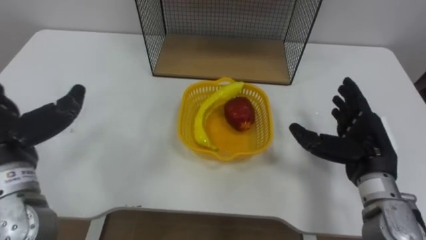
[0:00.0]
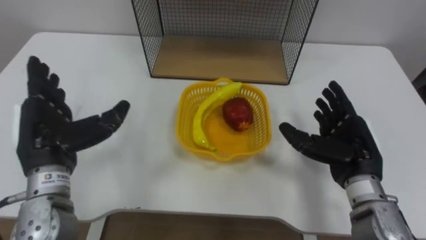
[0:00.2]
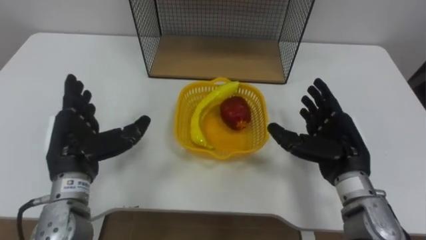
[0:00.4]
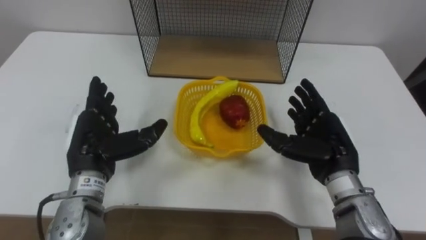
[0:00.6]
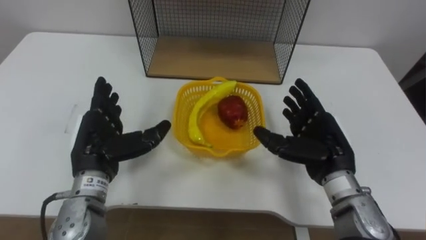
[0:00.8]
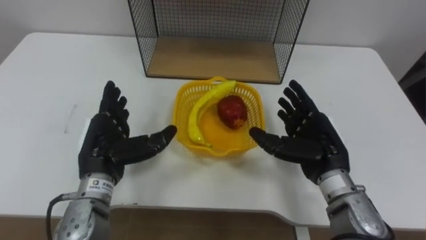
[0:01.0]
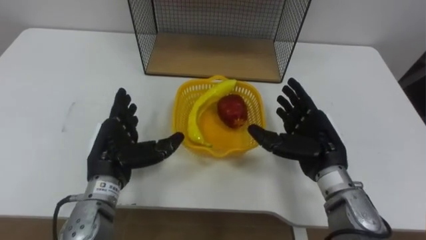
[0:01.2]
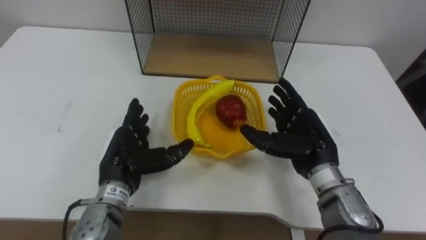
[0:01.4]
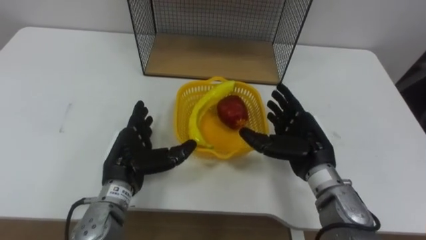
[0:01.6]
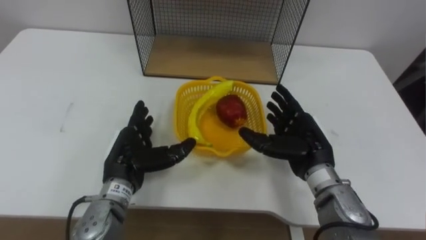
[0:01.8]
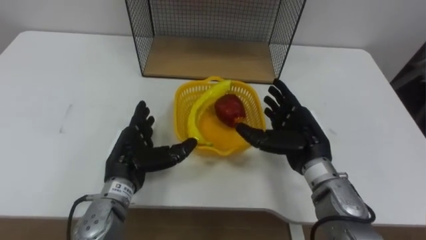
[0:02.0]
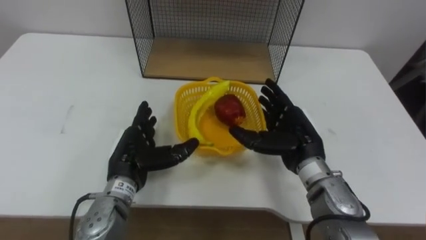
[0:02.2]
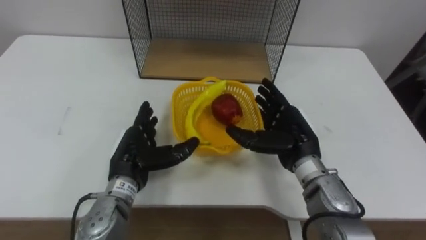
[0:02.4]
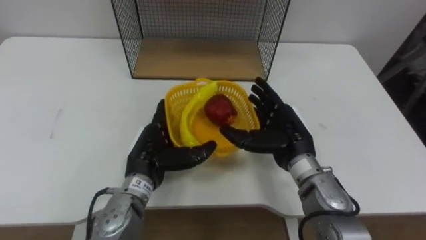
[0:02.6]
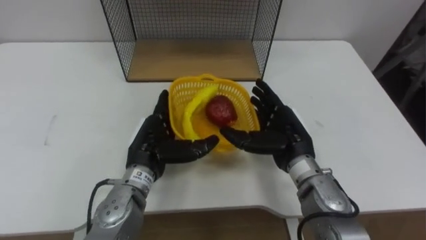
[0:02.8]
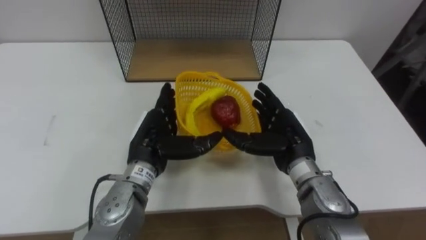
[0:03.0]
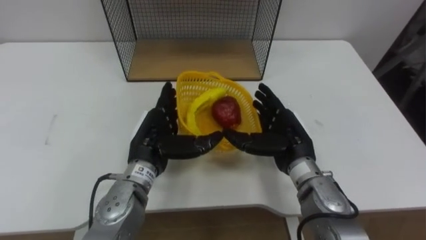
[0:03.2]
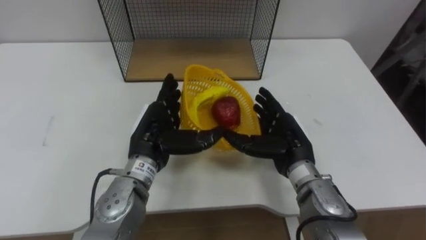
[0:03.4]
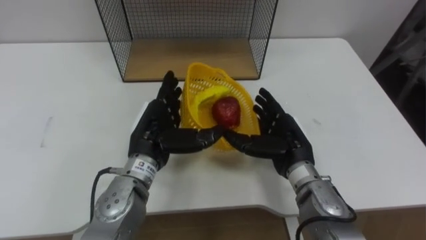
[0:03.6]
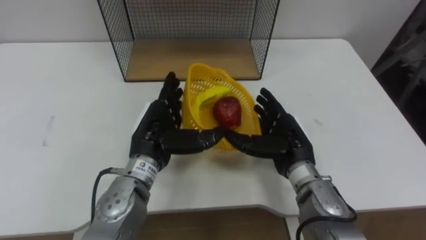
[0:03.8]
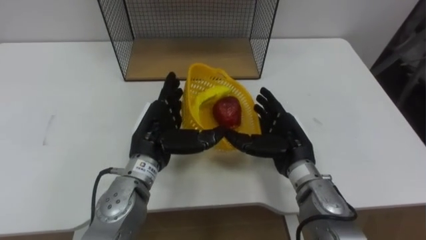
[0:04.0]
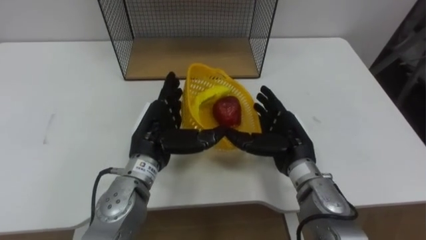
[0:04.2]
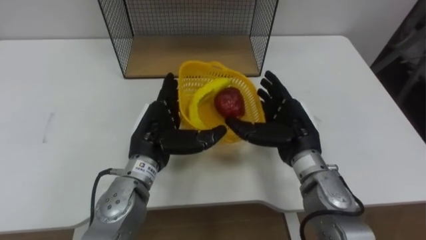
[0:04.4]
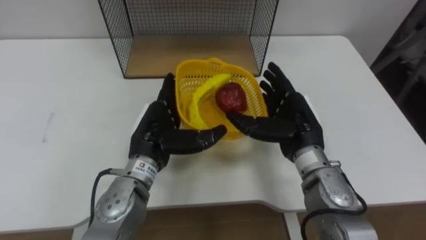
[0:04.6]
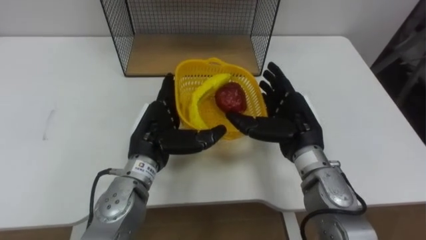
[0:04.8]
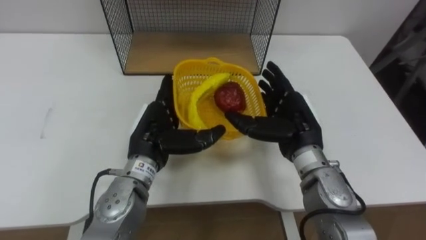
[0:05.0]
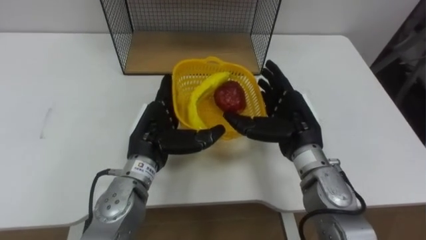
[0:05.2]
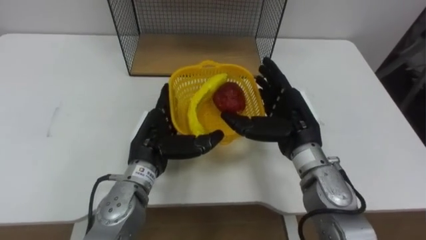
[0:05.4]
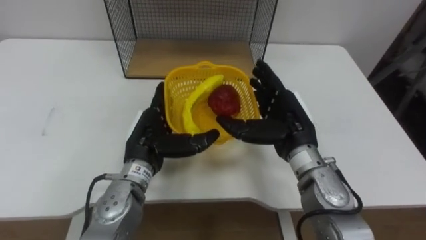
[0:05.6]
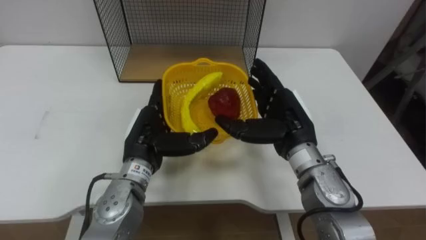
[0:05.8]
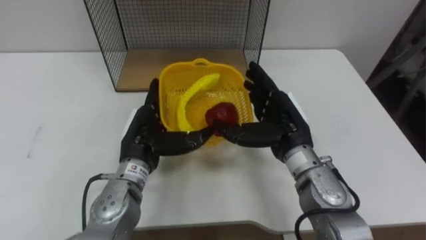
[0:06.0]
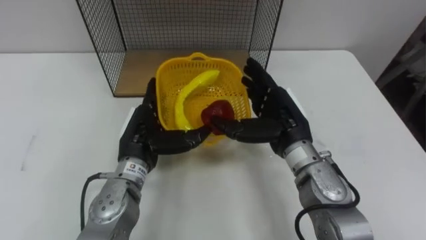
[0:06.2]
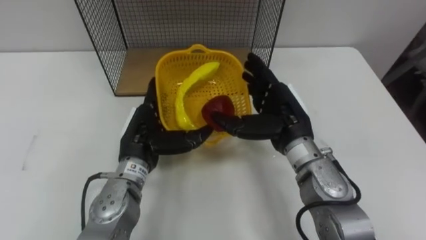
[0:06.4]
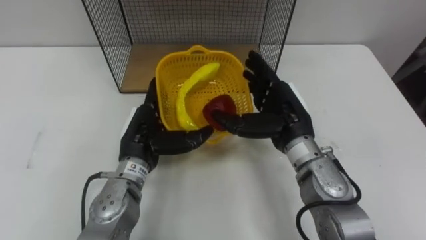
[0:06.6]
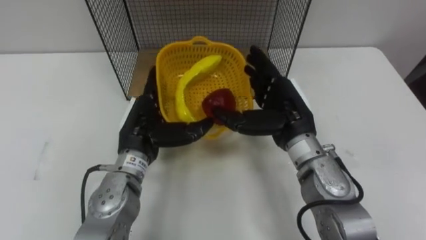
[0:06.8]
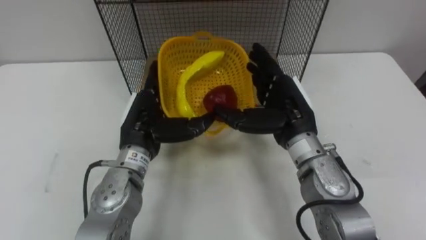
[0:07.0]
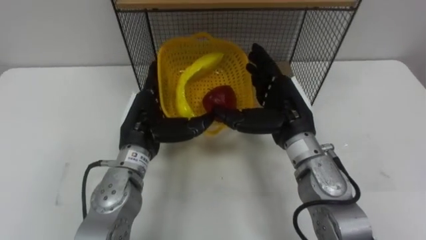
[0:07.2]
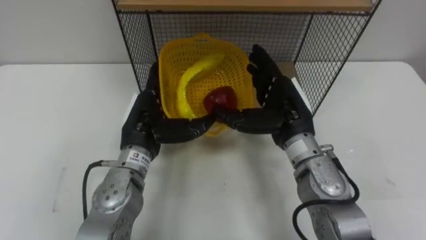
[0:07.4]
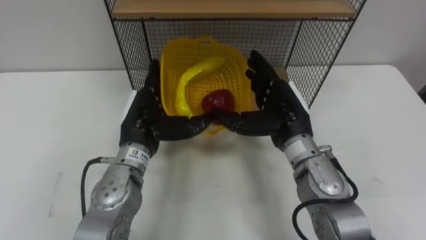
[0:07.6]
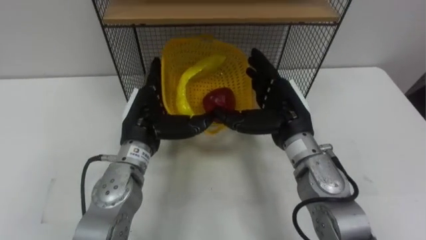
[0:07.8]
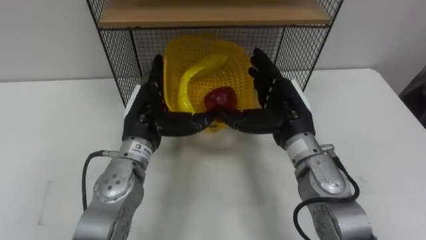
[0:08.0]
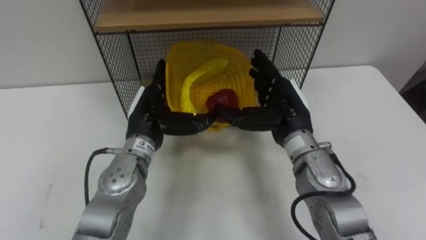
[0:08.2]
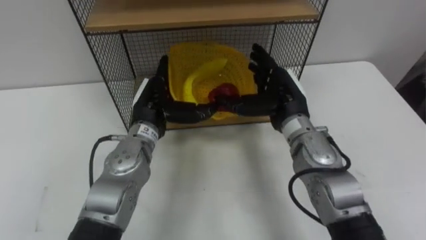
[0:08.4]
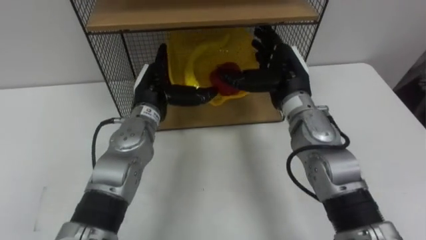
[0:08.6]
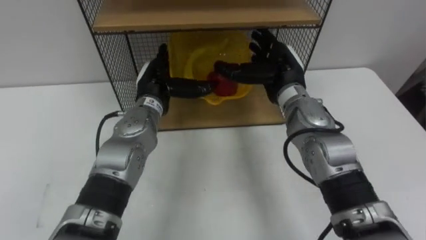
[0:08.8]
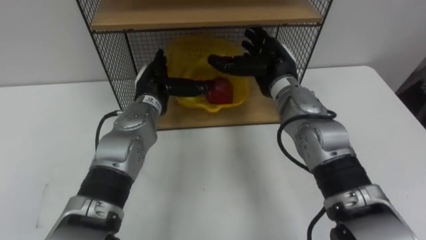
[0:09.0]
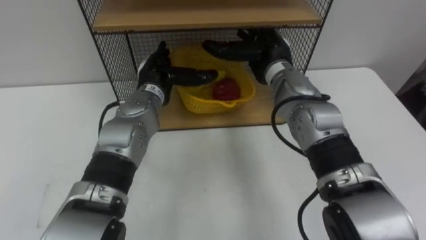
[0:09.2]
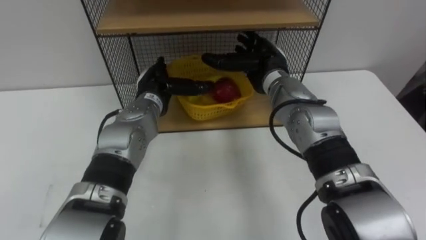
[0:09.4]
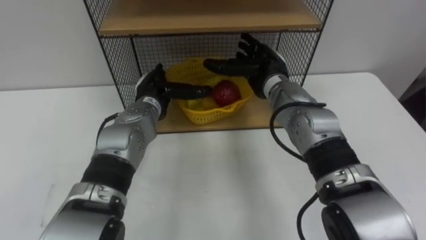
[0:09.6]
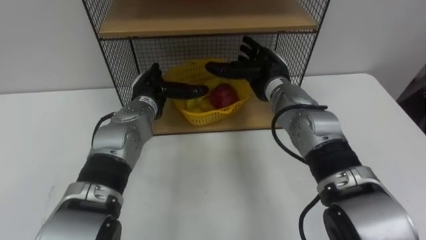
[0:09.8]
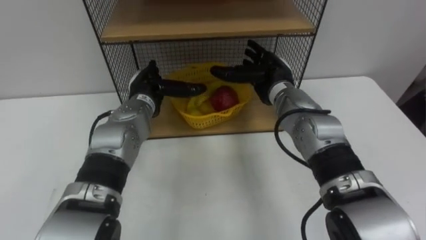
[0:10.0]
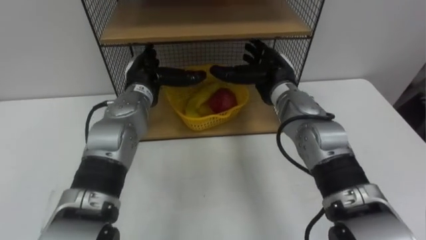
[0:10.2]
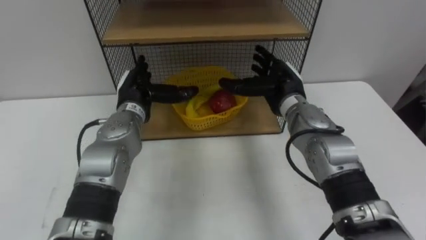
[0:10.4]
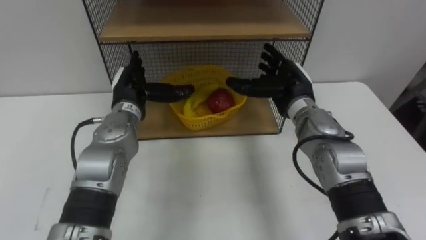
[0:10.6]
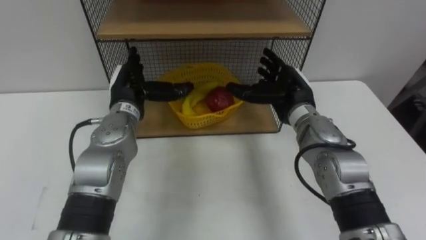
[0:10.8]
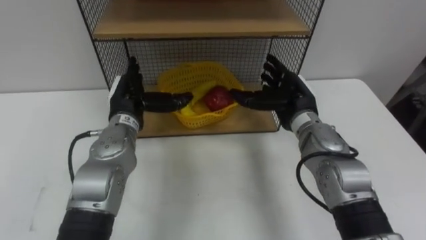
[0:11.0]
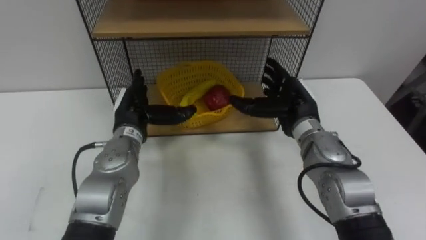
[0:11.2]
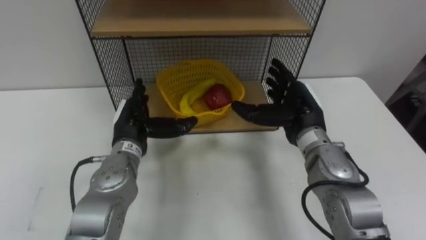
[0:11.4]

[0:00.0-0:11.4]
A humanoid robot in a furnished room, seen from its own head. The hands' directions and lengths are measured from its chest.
Task of the whole recording: Put the fruit on the table into the basket, then place the basket on the shelf.
0:00.0 to 0:01.4: The right hand goes approximately 10 cm to the left. Meanwhile the left hand is displaced to the right and downward by roughly 20 cm.
0:01.4 to 0:02.8: The left hand goes approximately 5 cm to the right.
0:04.2 to 0:05.6: The right hand moves approximately 5 cm.
0:07.2 to 0:08.6: Both hands move forward, roughly 5 cm.
0:08.6 to 0:10.0: The right hand ends up roughly 5 cm from where it was.
0:10.0 to 0:11.4: The left hand heads backward, covering roughly 10 cm; the right hand travels backward and to the right by about 10 cm.

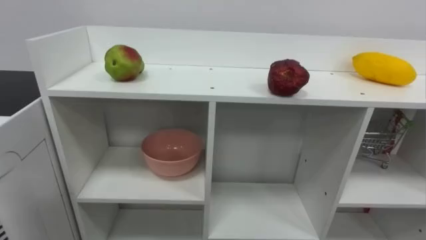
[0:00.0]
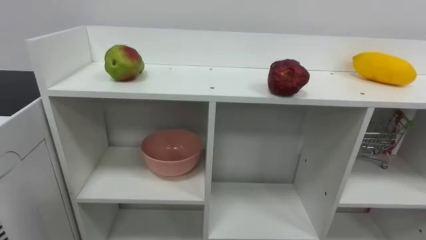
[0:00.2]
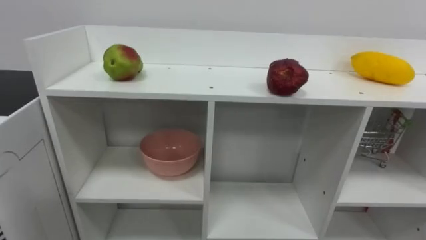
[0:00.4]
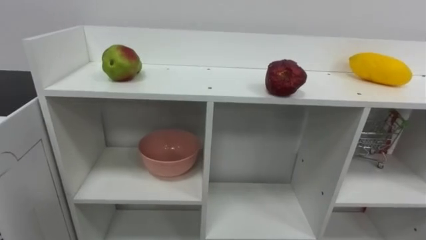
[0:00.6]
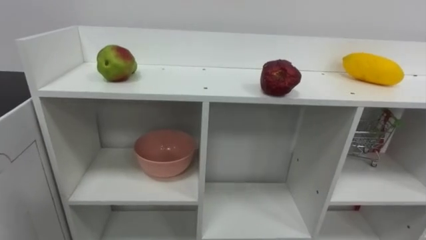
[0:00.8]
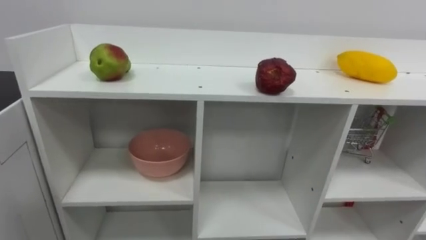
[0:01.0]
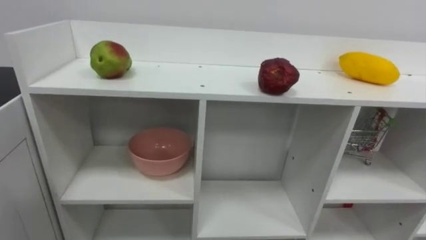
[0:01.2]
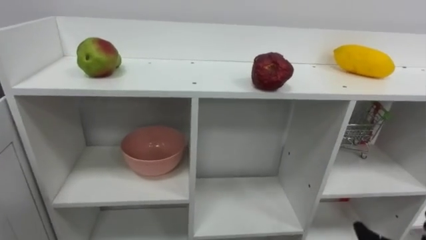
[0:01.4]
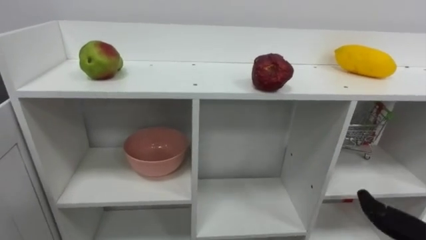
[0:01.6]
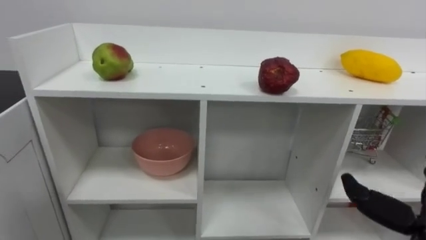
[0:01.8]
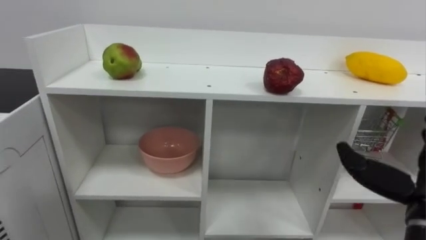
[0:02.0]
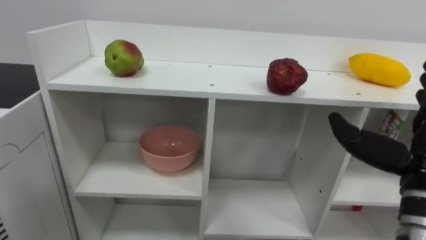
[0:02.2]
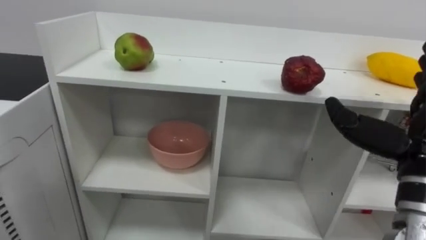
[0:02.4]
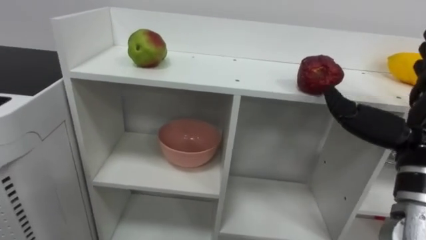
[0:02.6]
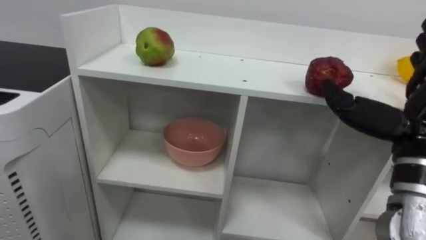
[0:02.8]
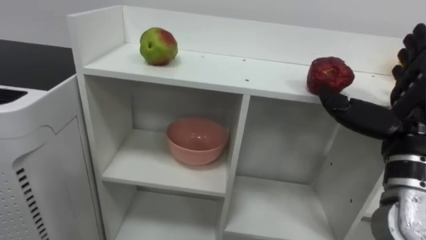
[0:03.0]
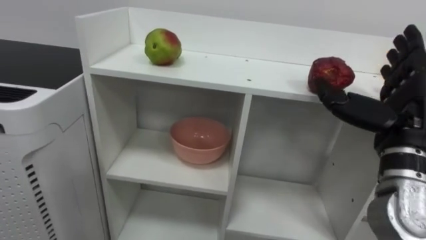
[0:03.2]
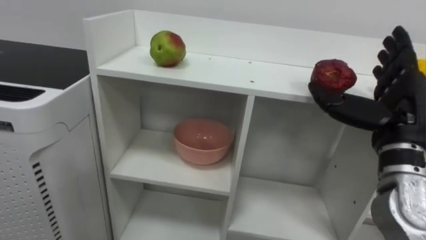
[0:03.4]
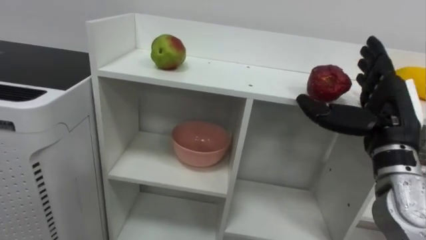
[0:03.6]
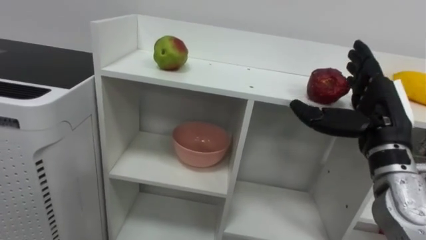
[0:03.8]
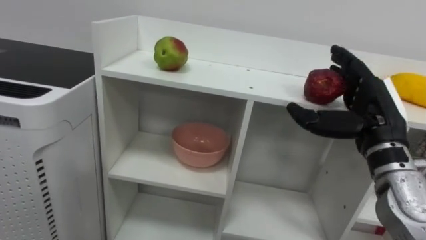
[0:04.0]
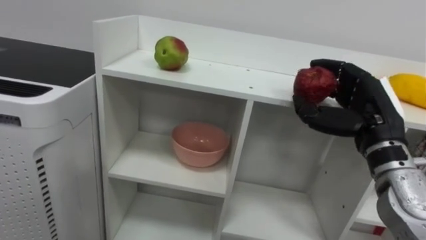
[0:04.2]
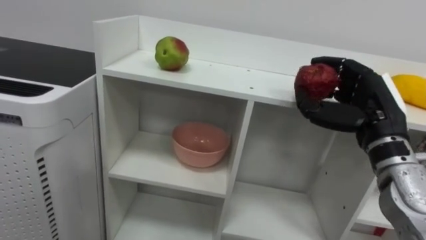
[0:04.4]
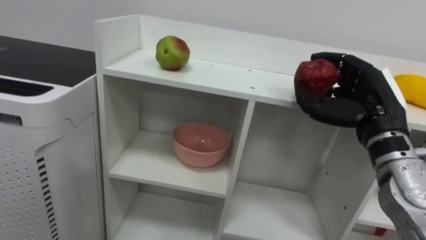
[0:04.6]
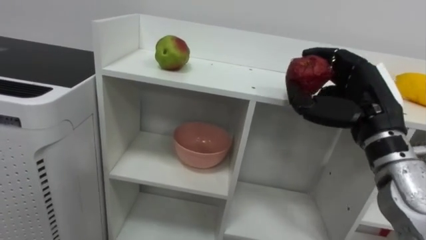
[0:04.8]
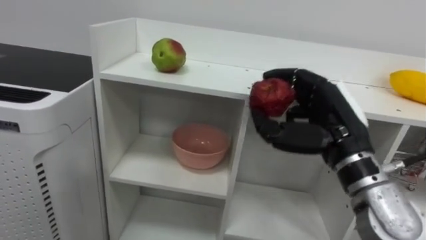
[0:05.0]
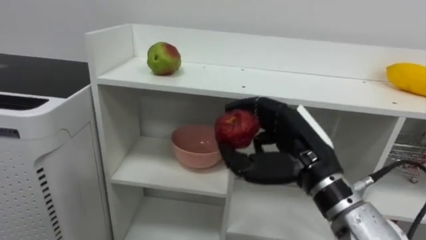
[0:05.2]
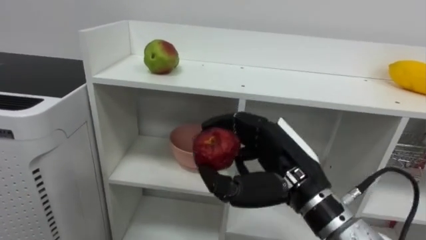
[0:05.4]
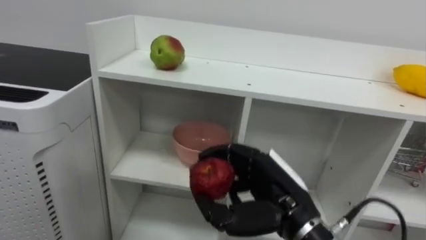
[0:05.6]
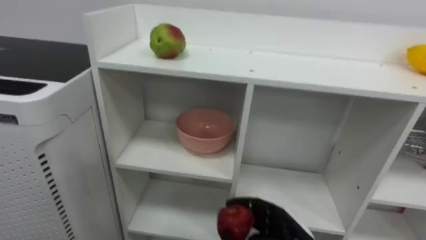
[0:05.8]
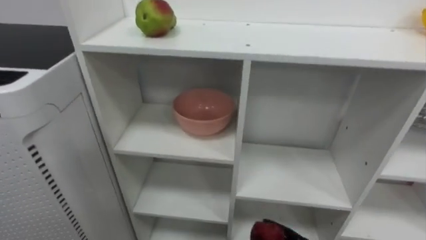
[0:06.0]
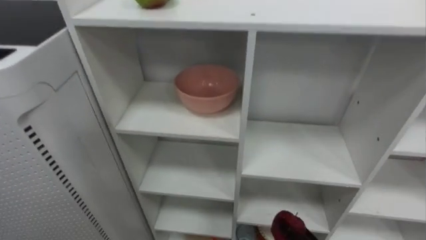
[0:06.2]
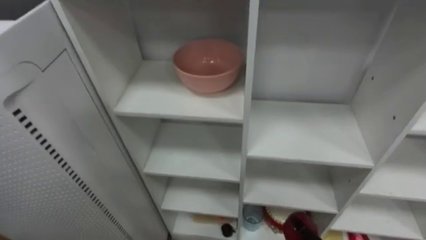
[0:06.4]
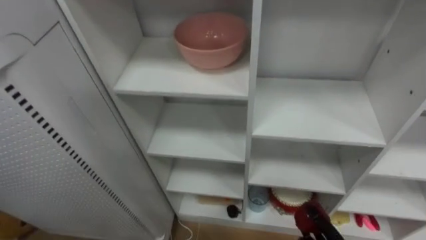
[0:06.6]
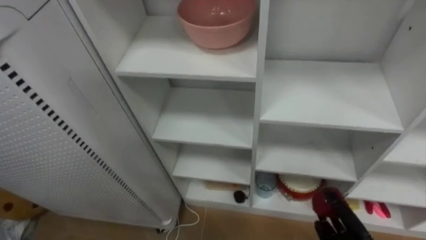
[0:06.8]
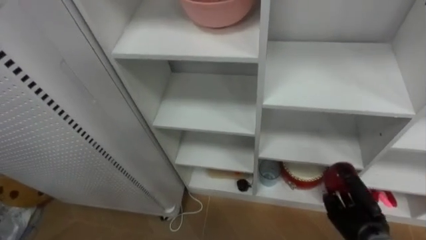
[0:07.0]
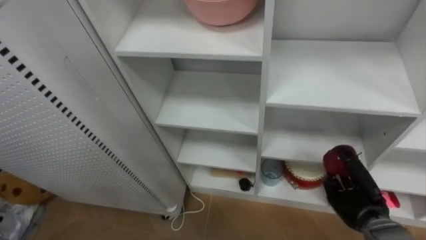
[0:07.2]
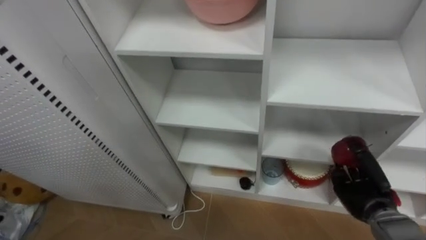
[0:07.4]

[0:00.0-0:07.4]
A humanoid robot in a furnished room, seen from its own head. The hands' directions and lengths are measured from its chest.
Task of the whole recording: Put the apple in the cell in the second column from the left and the second row from the top.
0:03.0 to 0:04.4: The right hand moves forward, roughly 5 cm, and closes.
